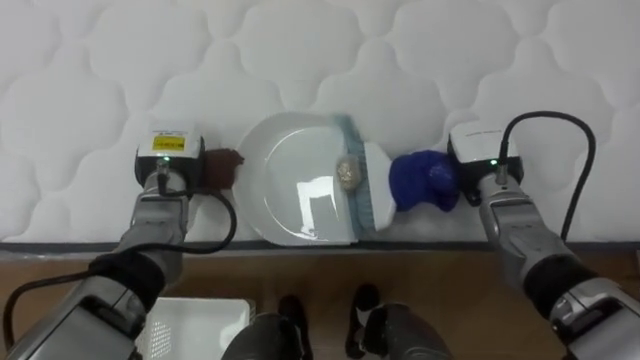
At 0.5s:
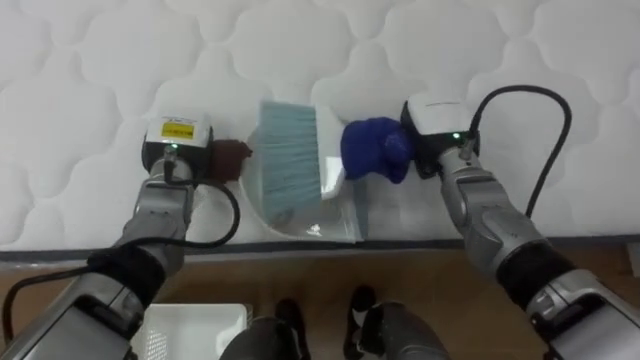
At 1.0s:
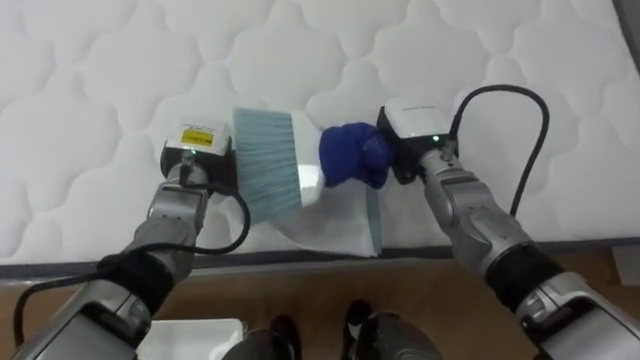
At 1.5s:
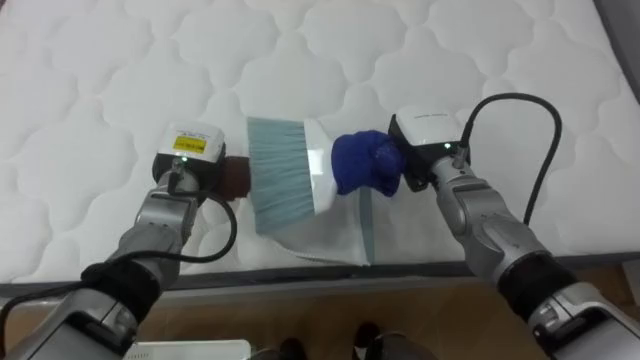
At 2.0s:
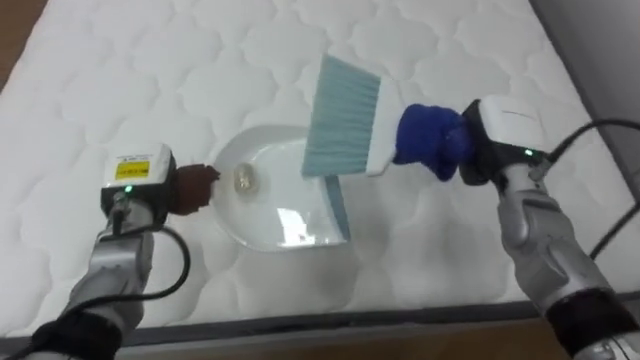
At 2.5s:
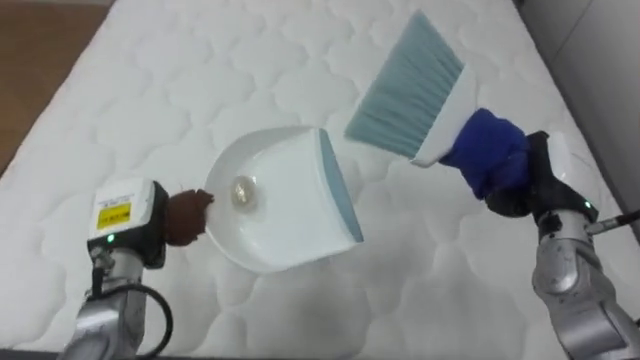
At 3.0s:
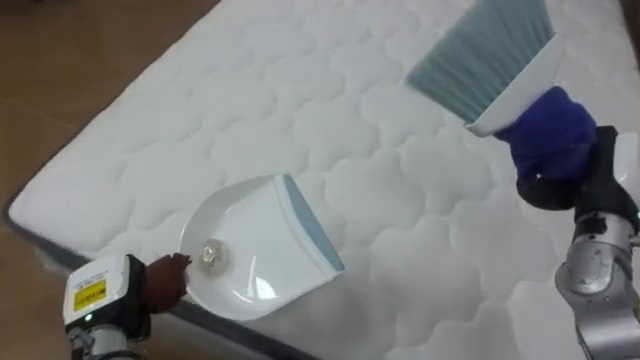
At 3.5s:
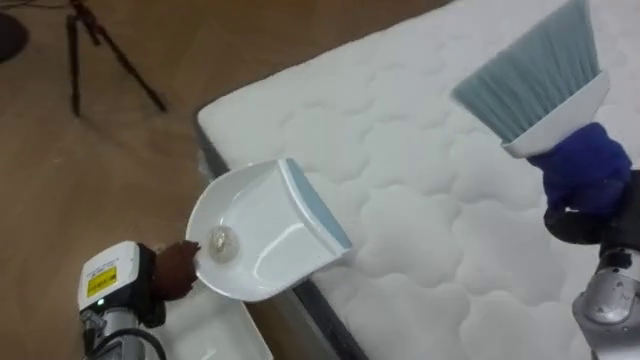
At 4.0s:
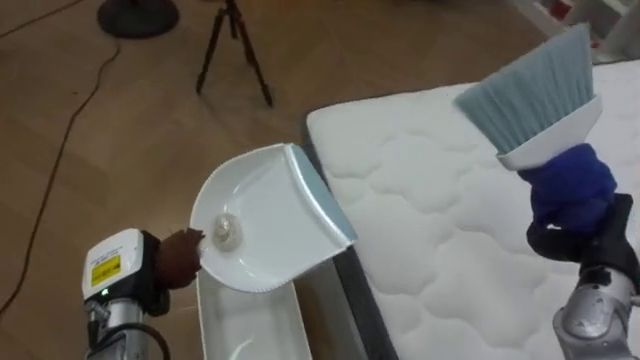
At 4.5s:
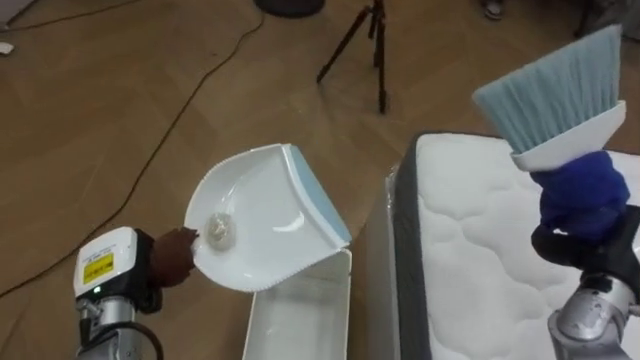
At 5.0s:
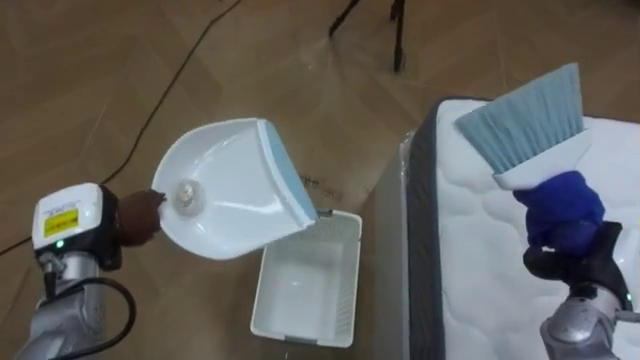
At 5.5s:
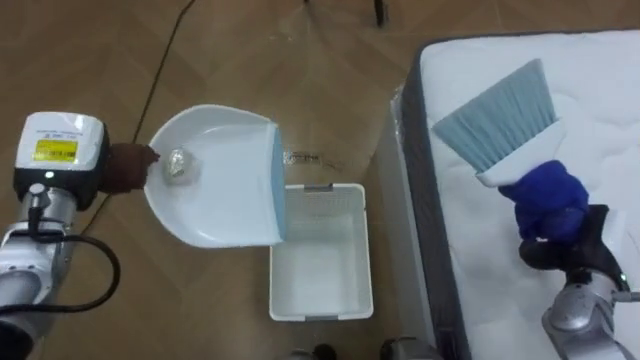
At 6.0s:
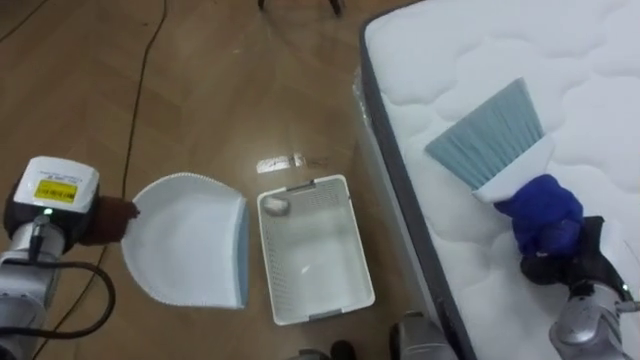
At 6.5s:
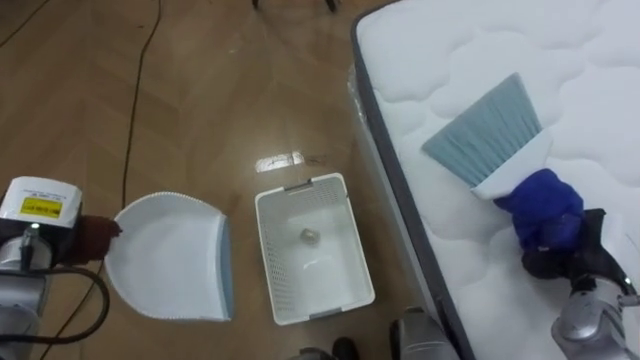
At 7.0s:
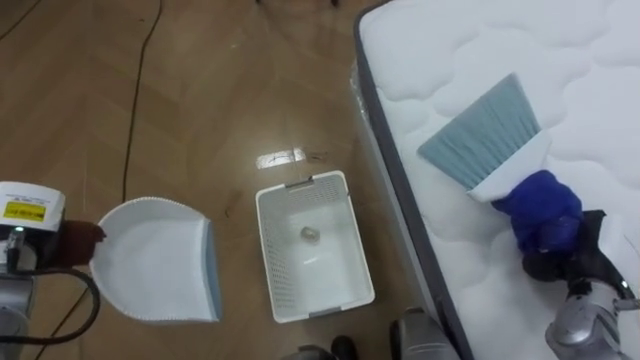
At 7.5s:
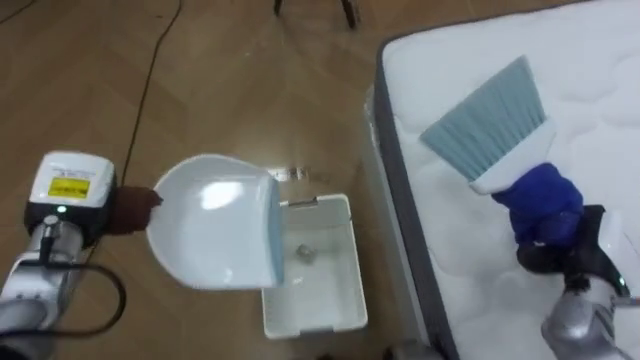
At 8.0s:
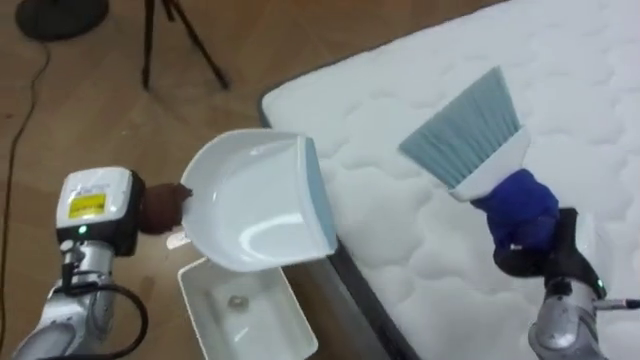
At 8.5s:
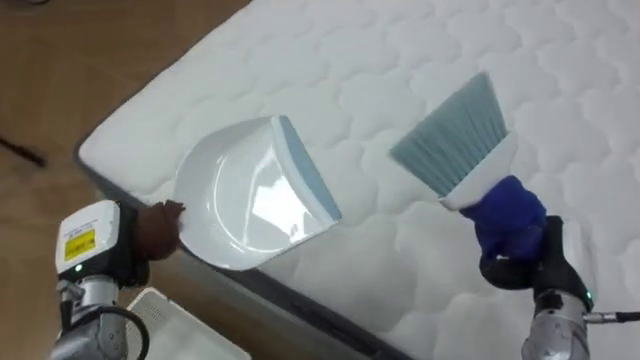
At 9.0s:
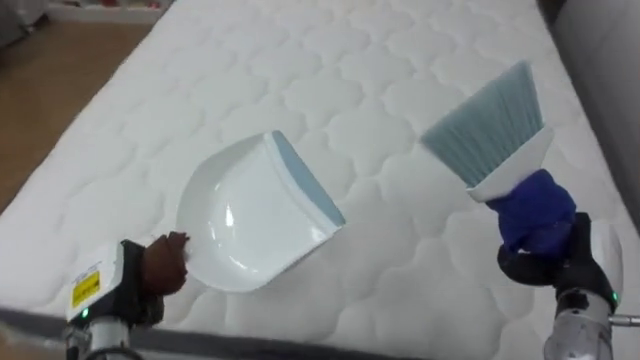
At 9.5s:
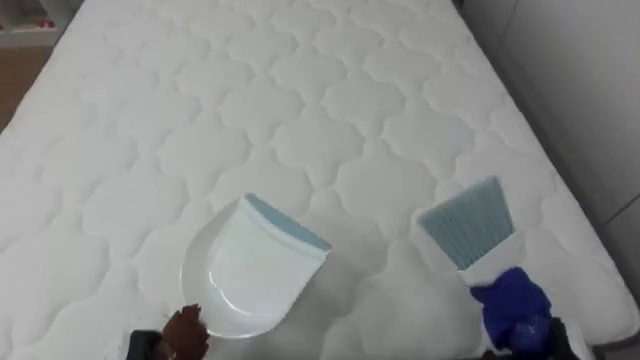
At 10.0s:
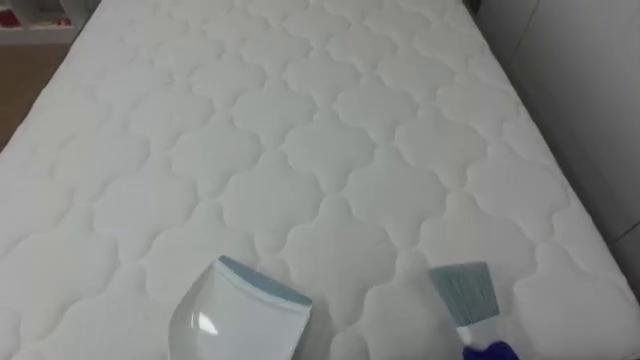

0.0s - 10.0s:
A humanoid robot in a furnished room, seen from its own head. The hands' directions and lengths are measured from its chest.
Task of the whole recording: Pick up the brush on your right and the dustpan on your left. Use the brush to sweep the crumpled paper on the bed into the dustpan, then turn left and empty it into the basket.
0.0s - 2.0s: The right hand is displaced upward by some 5 cm, and goes to the left and returns, about 10 cm each way, while the left hand moves some 5 cm.
2.0s - 4.0s: The robot's body swings approximately 80 degrees to its left. The left hand goes about 10 cm backward and downward; the right hand heads backward, to the right and downward, covering about 20 cm.
4.0s - 6.0s: The left hand heads forward, to the left and upward, covering some 10 cm.
6.0s - 8.0s: The robot turns to its right by about 25 degrees. The left hand moves to the right, some 5 cm.
8.0s - 10.0s: The robot rotates about 65 degrees to its right.

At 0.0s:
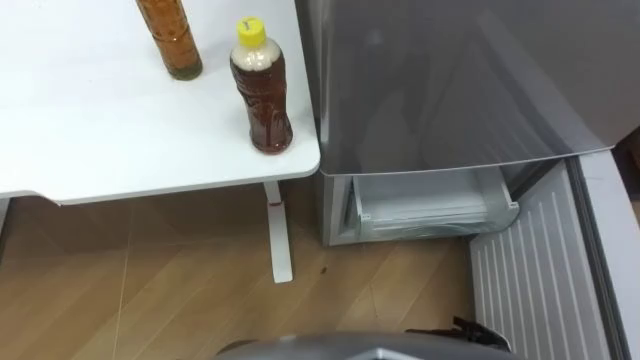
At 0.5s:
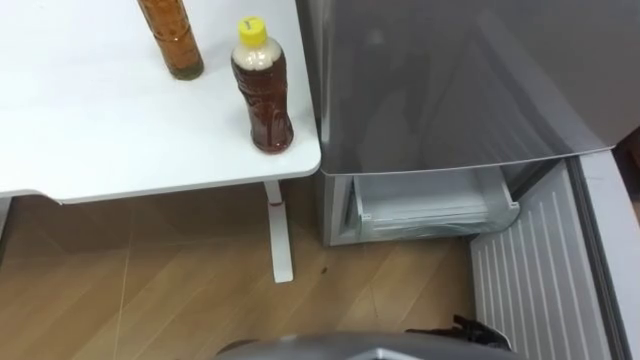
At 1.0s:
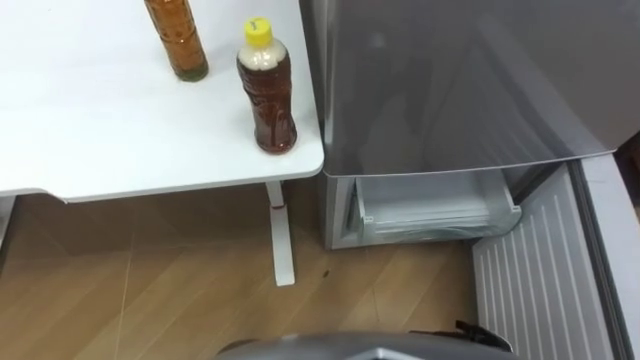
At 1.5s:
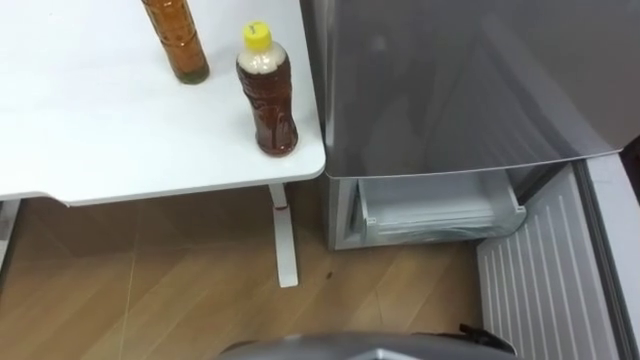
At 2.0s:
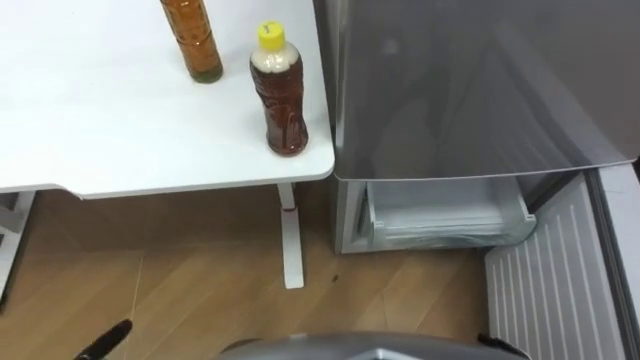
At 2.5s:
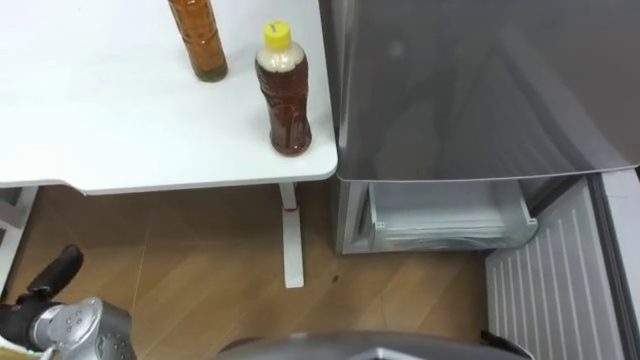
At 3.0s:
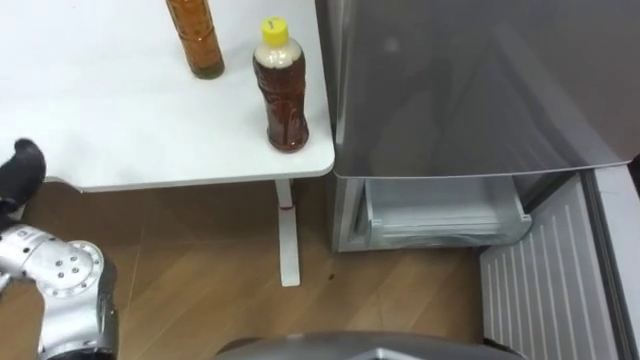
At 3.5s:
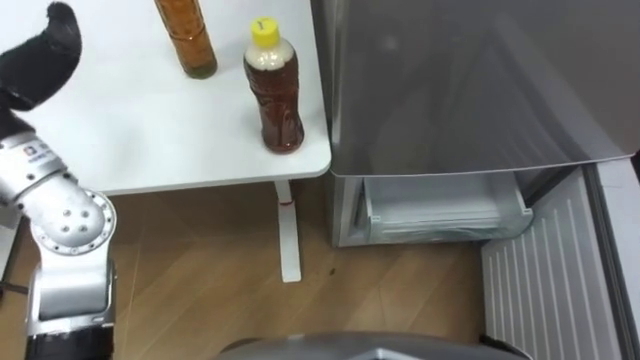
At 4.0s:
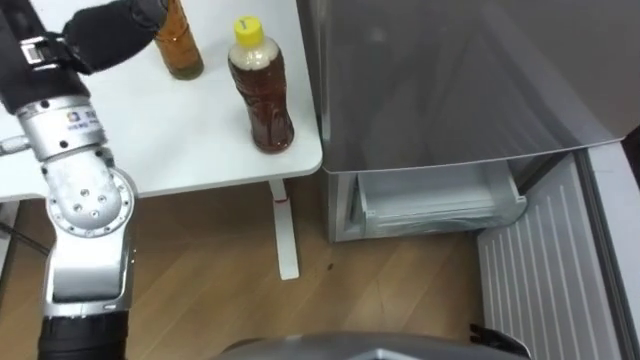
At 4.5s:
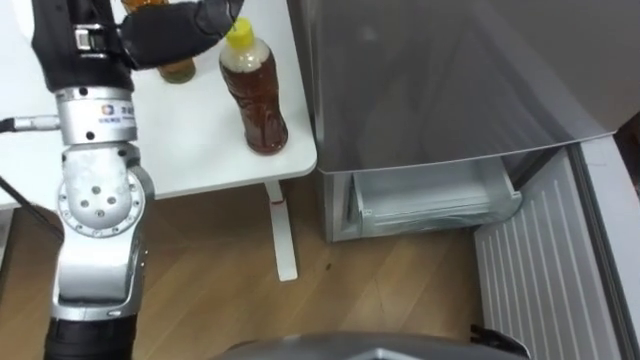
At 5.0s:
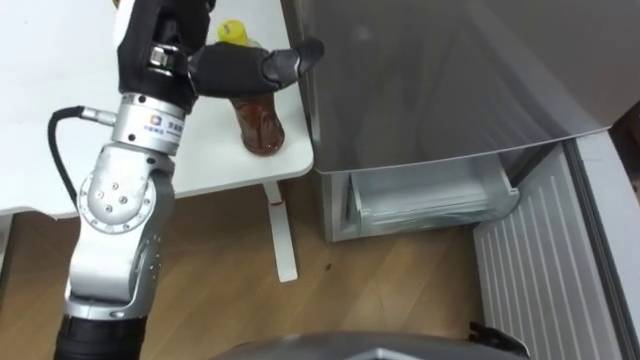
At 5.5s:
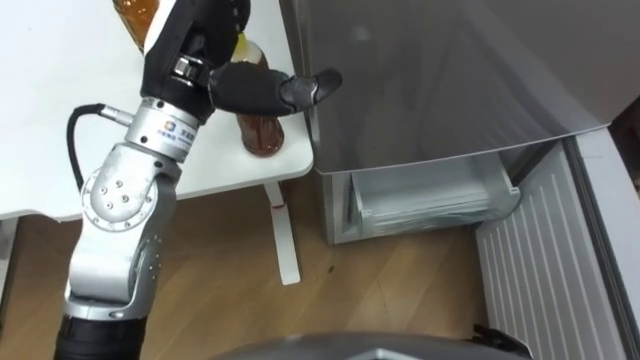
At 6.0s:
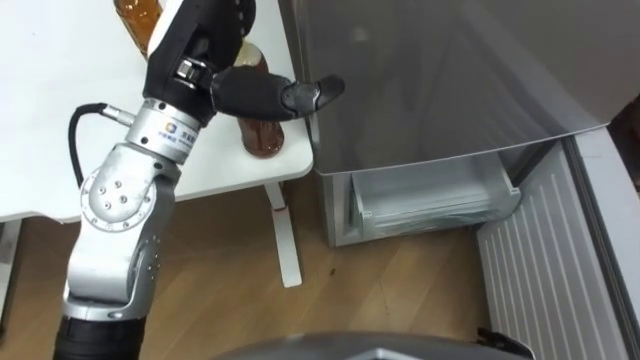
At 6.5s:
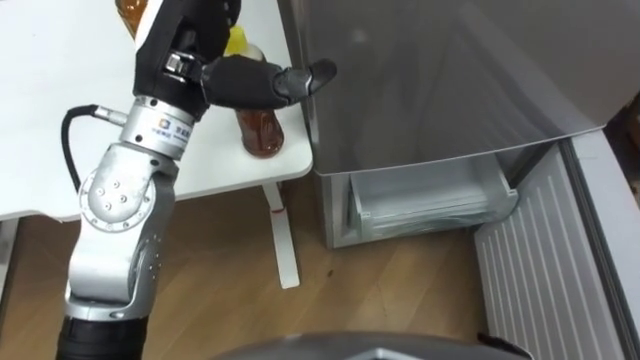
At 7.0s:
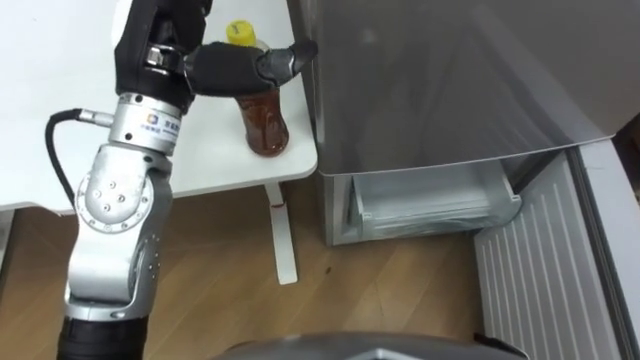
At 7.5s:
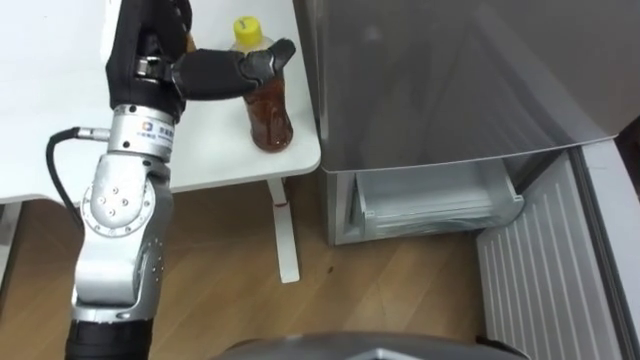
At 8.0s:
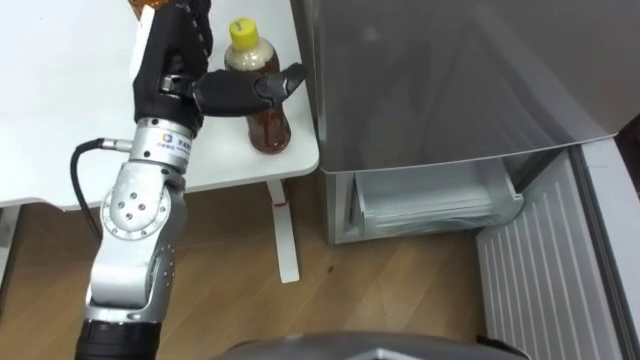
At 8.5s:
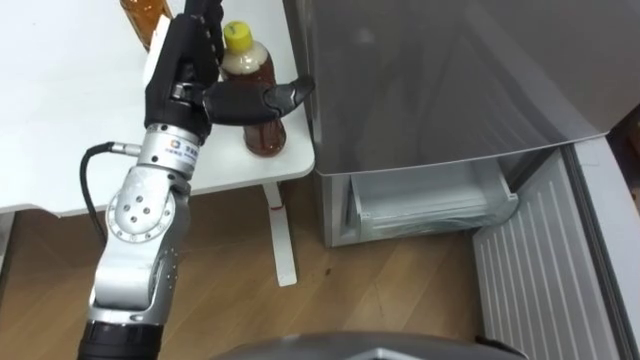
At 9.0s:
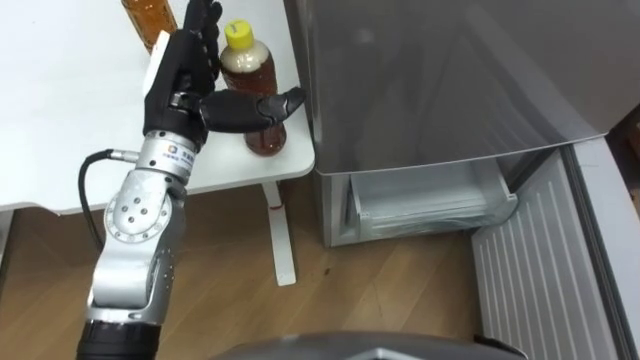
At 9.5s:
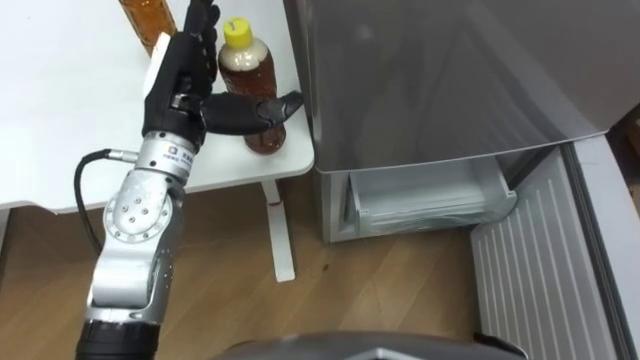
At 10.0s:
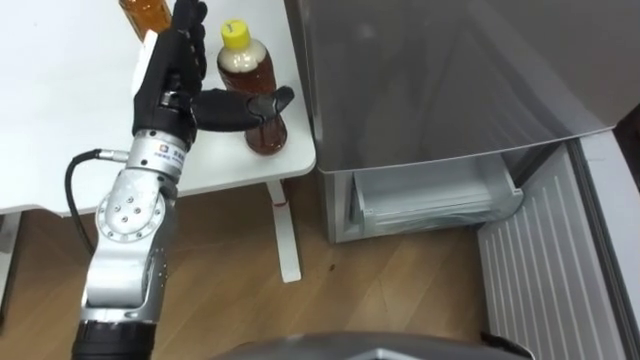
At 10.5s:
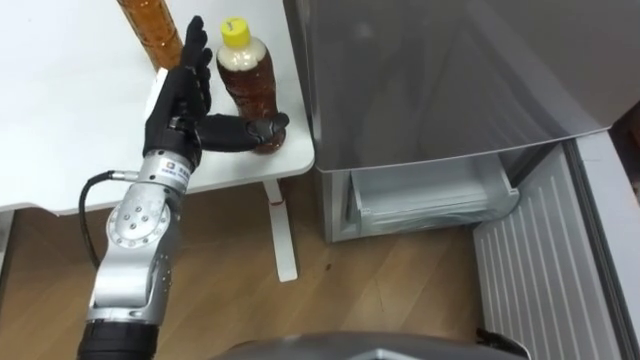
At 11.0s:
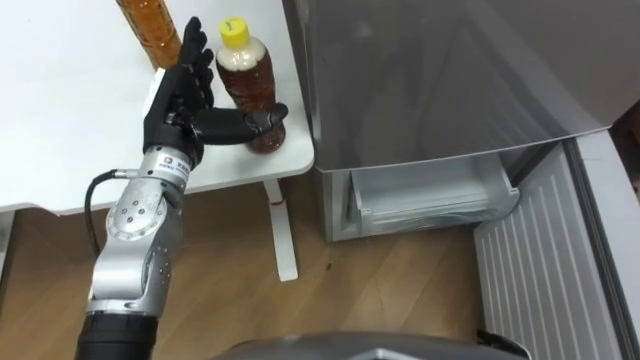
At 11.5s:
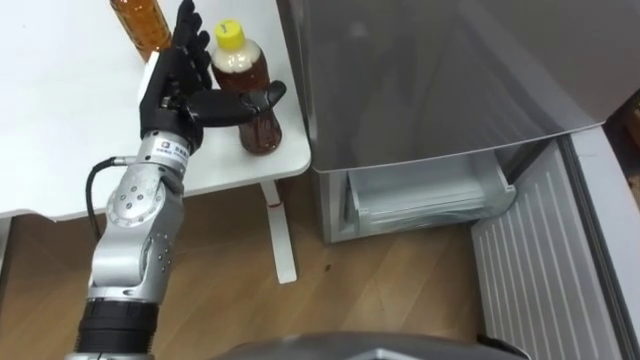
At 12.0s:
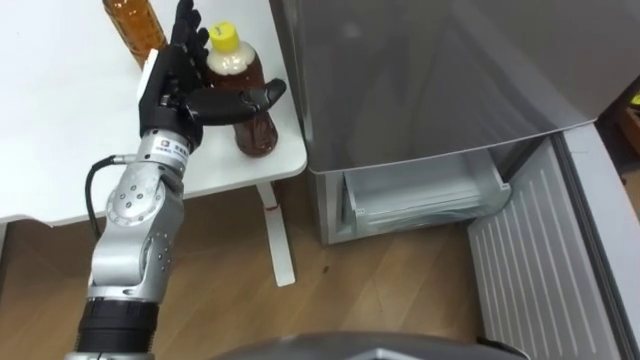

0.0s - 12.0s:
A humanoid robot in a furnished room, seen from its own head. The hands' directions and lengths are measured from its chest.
Task of the whole recording: Place the drink on the table on the bottom shelf of the refrigerator, then close the drawer and the refrigerator door.
4.0s - 6.0s: The left hand shifts some 10 cm to the right.
6.0s - 8.0s: The left hand changes place by roughly 5 cm.
